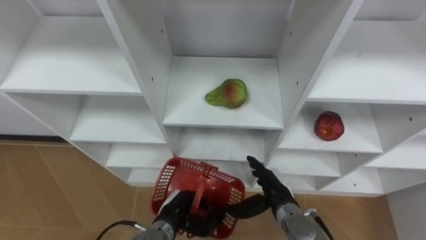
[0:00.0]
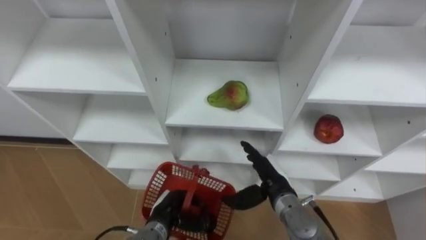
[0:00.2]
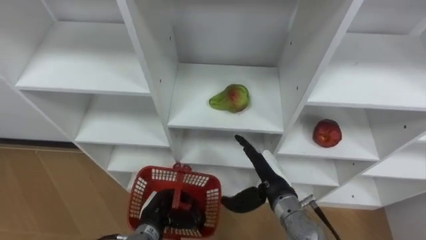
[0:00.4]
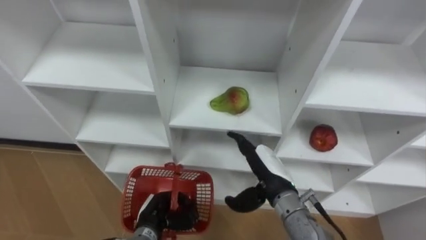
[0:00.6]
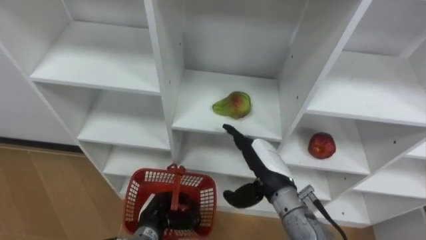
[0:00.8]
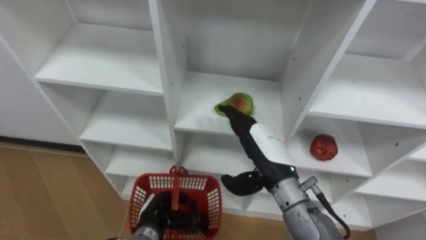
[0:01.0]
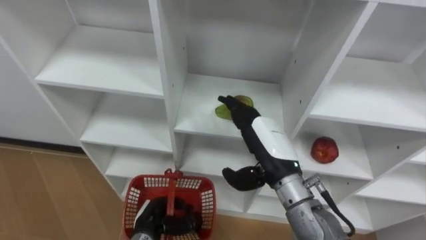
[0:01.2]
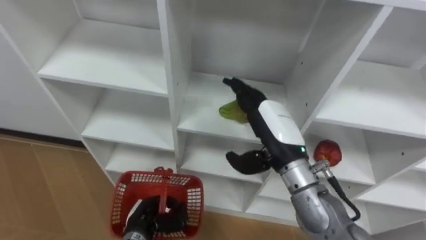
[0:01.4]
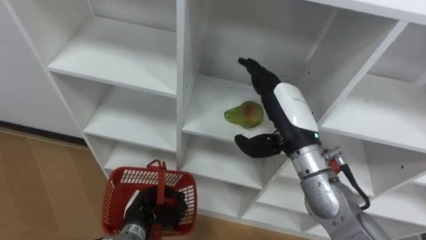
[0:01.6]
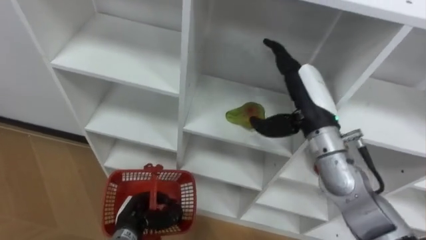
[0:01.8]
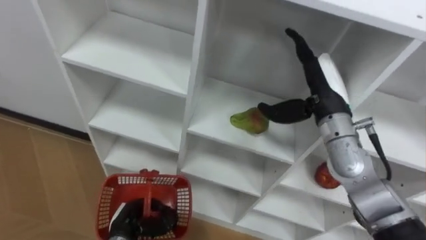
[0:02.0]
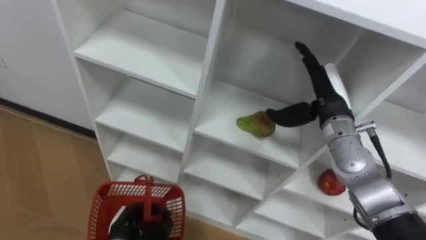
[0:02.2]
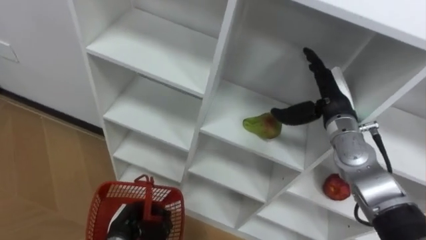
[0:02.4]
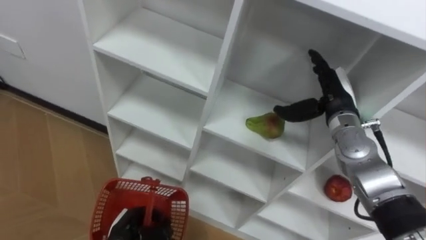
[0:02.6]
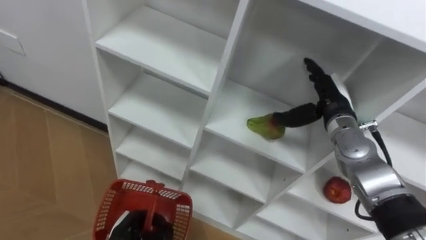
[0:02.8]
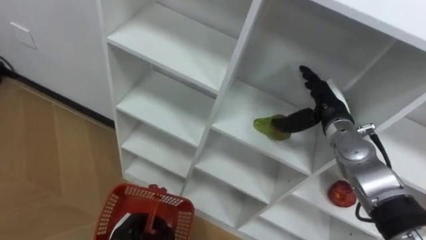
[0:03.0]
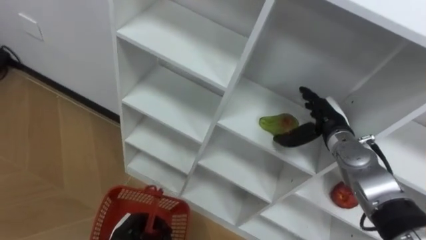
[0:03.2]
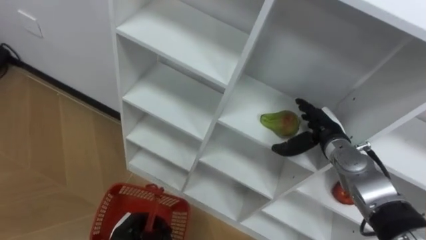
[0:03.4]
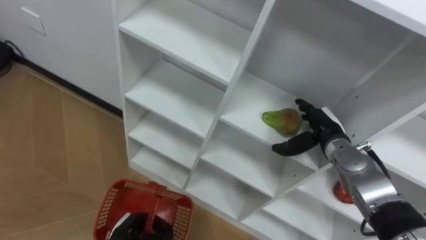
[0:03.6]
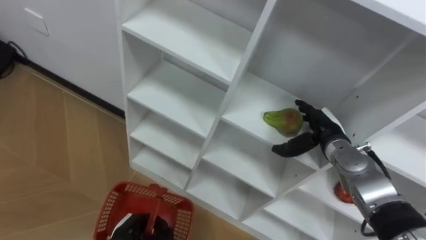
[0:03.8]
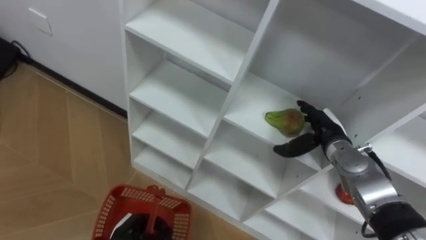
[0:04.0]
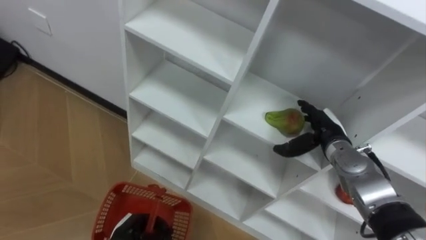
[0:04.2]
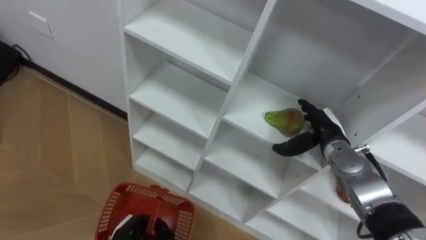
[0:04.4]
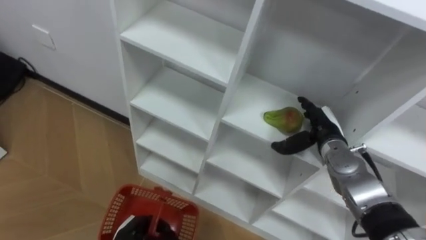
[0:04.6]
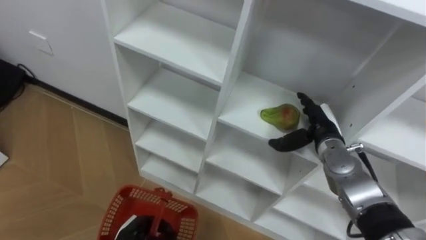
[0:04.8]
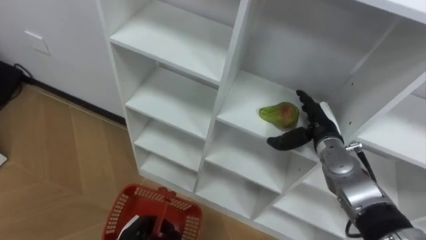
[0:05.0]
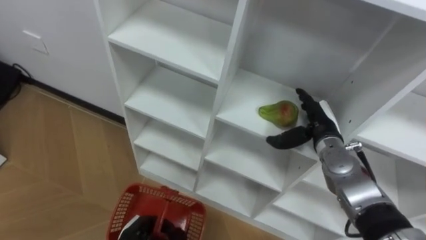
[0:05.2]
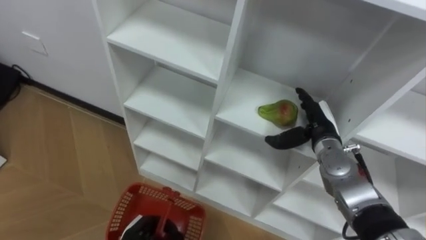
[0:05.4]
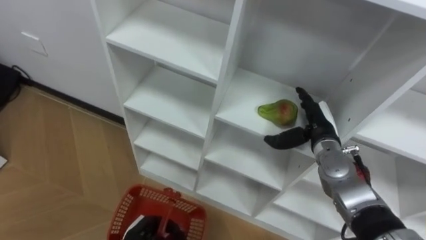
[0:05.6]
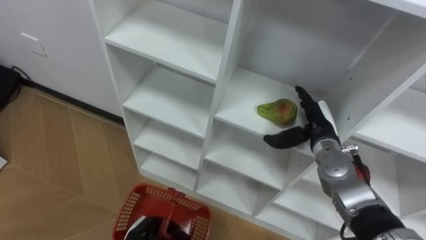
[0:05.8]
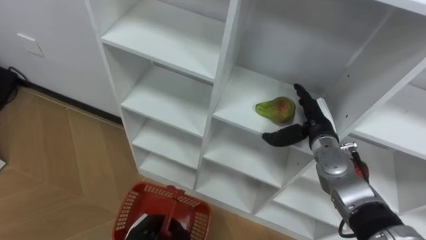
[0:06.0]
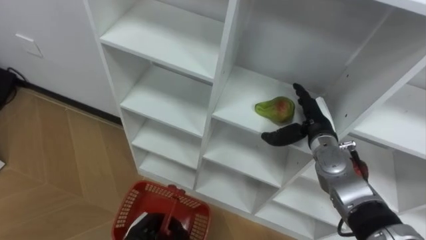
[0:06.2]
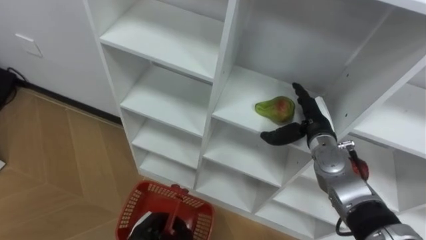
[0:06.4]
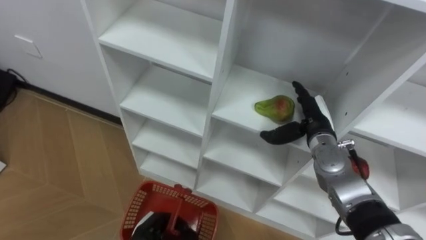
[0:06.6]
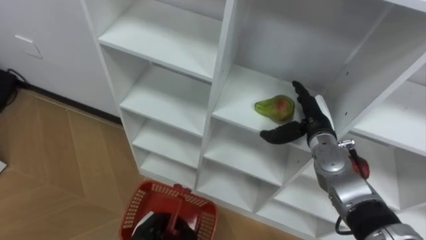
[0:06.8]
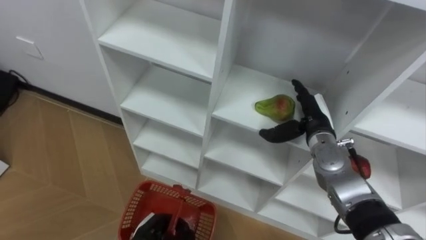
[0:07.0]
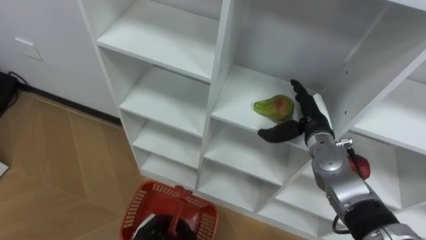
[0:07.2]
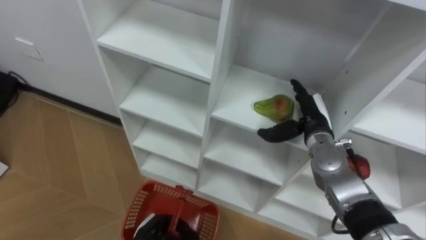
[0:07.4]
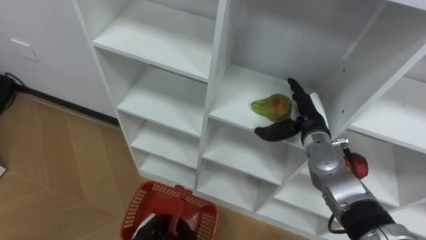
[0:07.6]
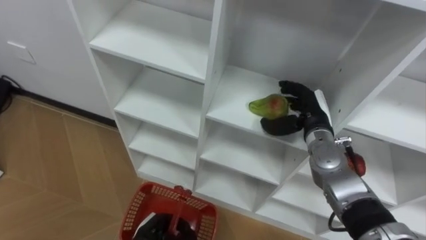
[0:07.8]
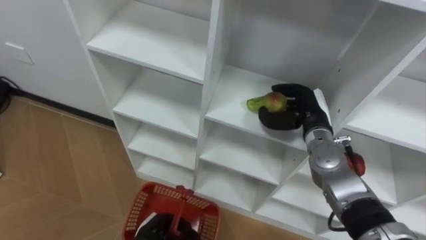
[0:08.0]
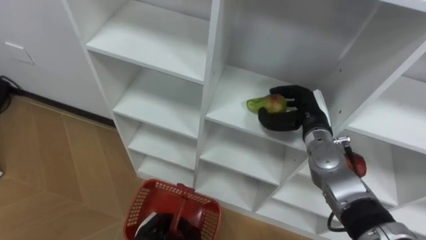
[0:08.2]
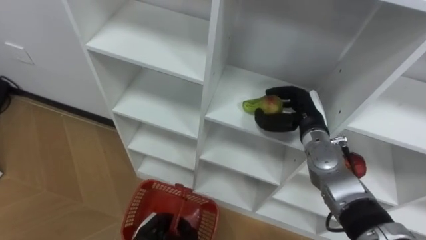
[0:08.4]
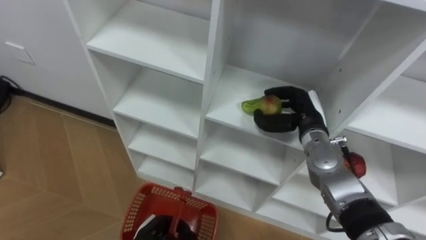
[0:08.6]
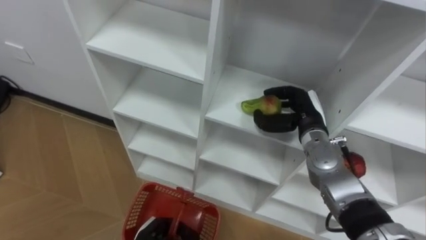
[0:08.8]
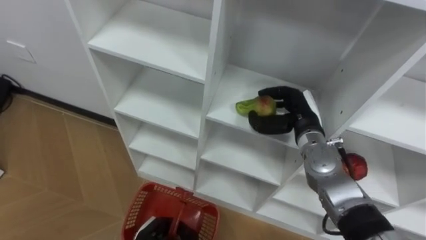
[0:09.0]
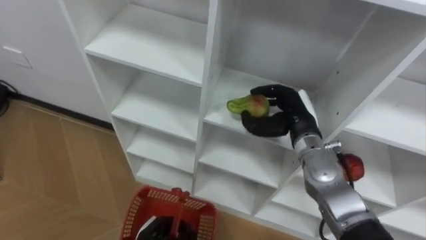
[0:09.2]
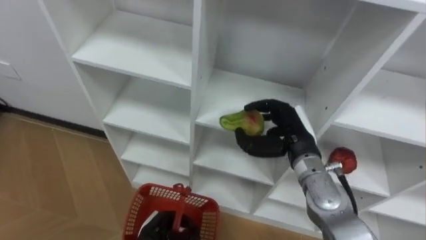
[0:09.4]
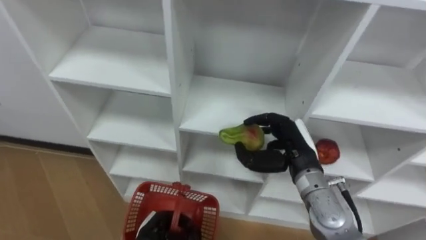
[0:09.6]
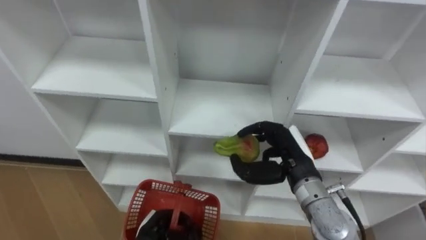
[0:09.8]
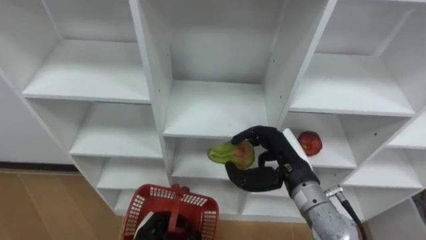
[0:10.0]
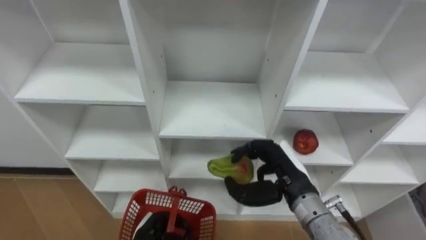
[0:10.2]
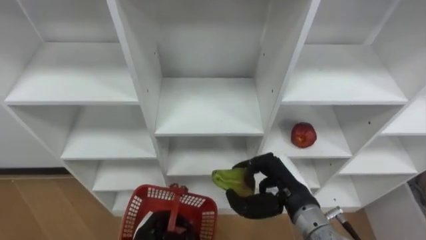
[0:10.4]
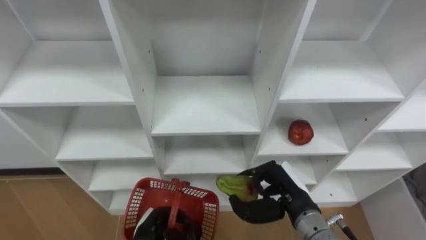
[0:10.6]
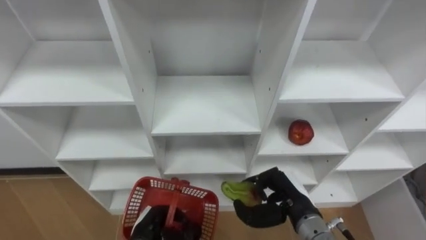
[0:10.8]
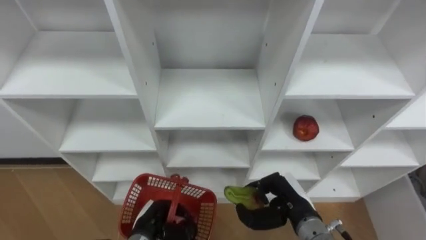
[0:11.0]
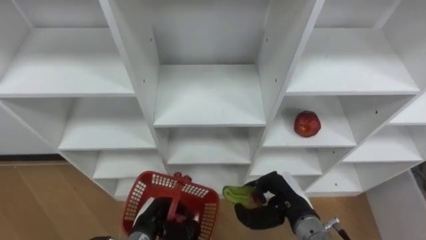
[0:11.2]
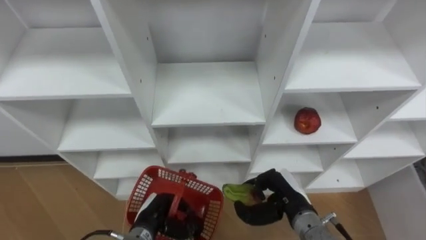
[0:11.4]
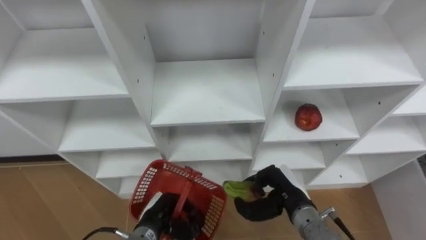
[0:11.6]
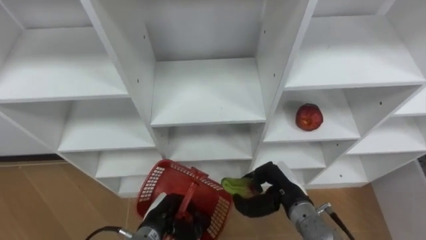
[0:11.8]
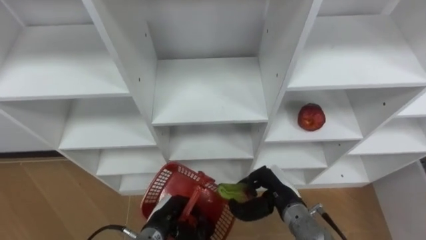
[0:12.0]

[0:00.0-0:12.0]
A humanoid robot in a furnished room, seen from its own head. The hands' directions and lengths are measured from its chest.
Task of the whole recording: Hold the basket and collect the fruits from 3 different cells of the closet into it.
0:00.0 to 0:01.6: The left hand heads to the left, covering approximately 5 cm, while the right hand travels upward by some 20 cm.
0:01.6 to 0:03.0: The left hand changes place by roughly 5 cm; the right hand moves to the right, forward and downward, approximately 15 cm.
0:03.0 to 0:04.4: The right hand is displaced downward by about 5 cm.
0:06.0 to 0:07.6: There are only small adjustments of the hands.
0:07.6 to 0:09.0: The right hand closes.
0:09.0 to 0:10.4: The right hand heads backward, covering some 15 cm.
0:10.4 to 0:12.0: The right hand heads downward, covering some 5 cm.

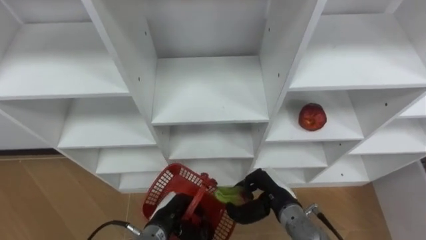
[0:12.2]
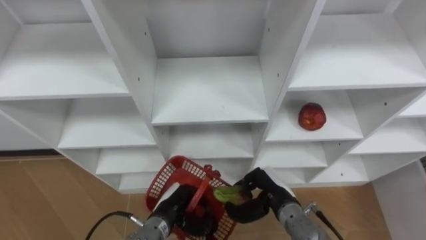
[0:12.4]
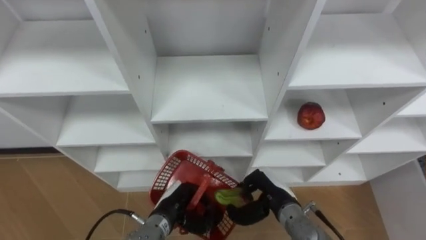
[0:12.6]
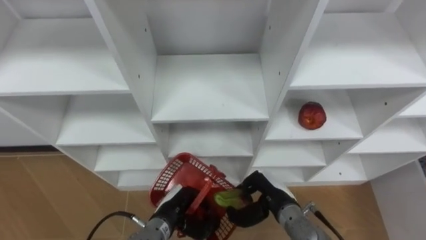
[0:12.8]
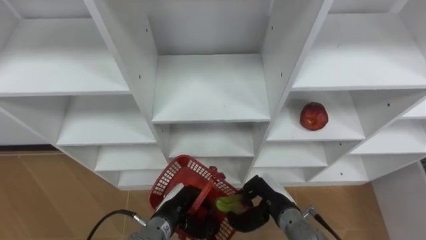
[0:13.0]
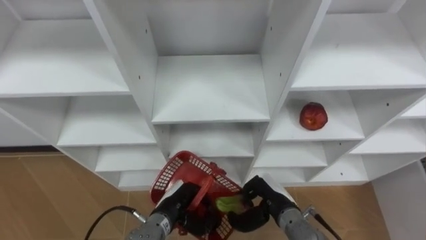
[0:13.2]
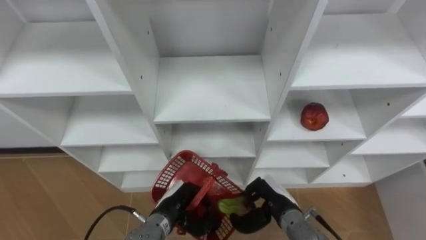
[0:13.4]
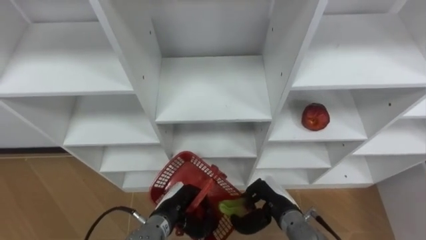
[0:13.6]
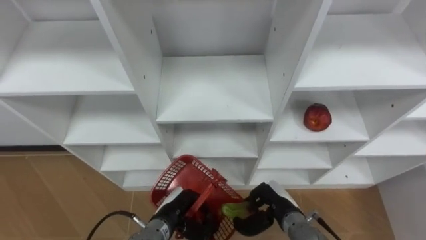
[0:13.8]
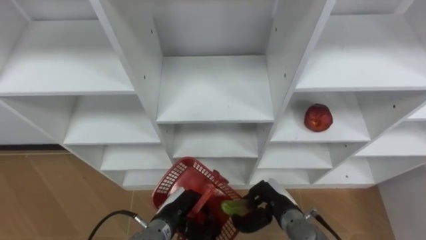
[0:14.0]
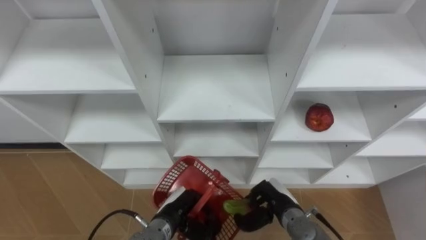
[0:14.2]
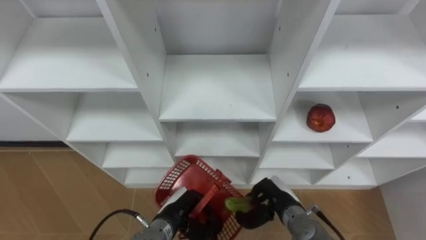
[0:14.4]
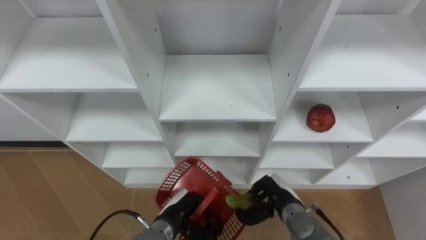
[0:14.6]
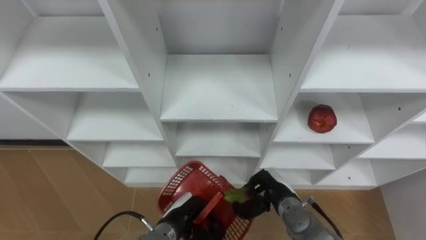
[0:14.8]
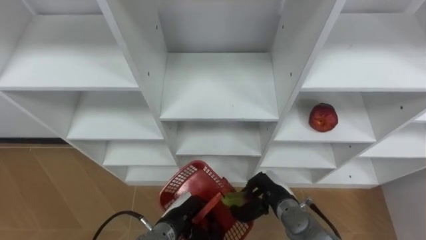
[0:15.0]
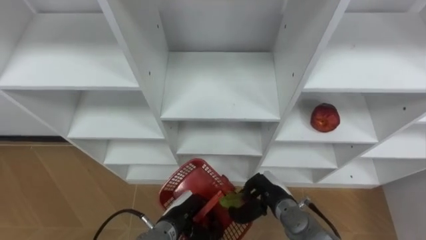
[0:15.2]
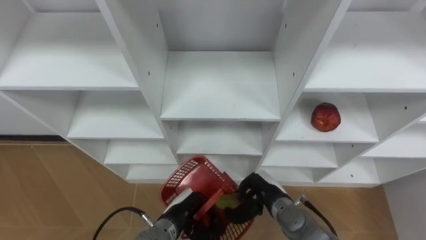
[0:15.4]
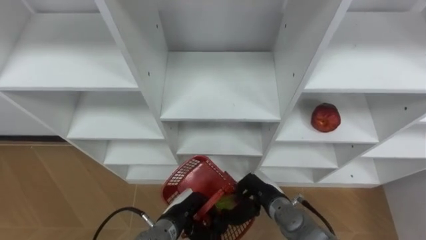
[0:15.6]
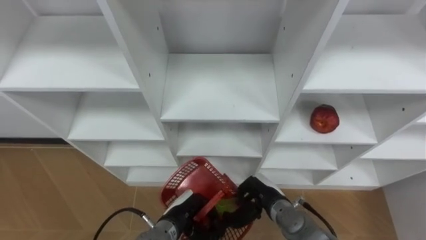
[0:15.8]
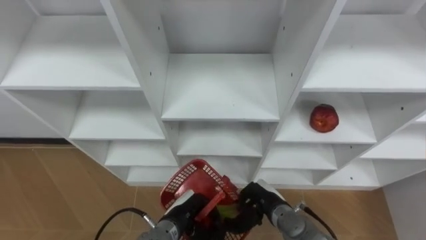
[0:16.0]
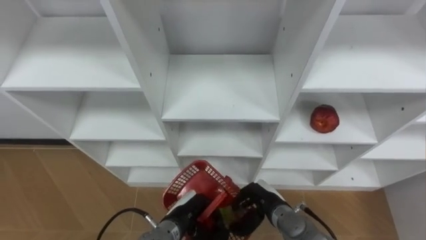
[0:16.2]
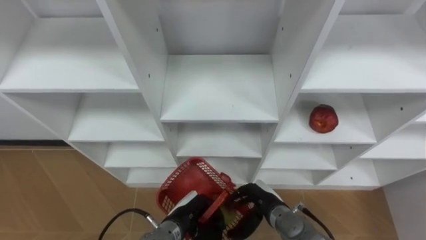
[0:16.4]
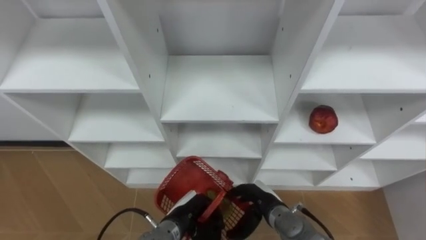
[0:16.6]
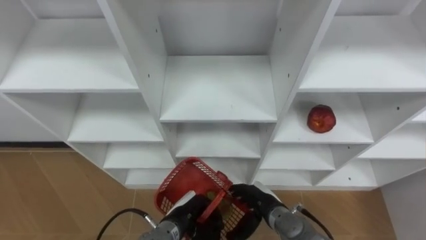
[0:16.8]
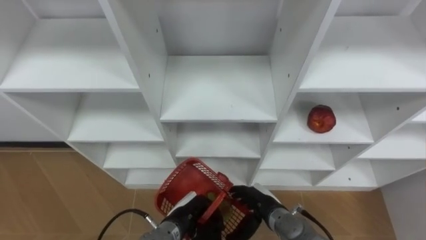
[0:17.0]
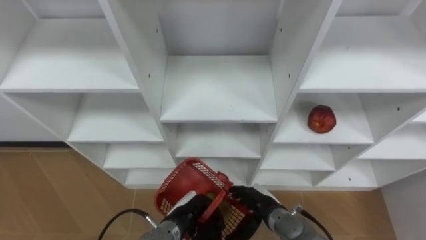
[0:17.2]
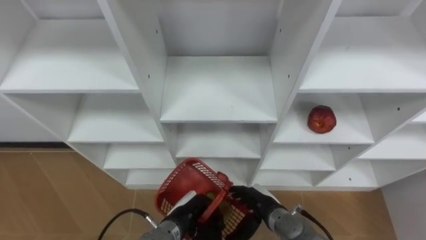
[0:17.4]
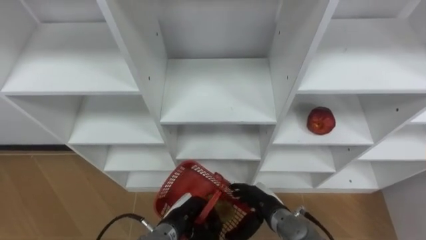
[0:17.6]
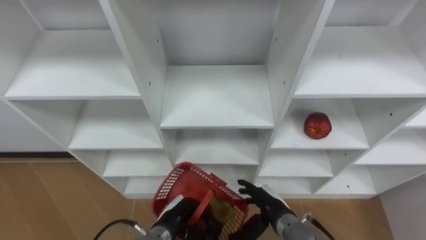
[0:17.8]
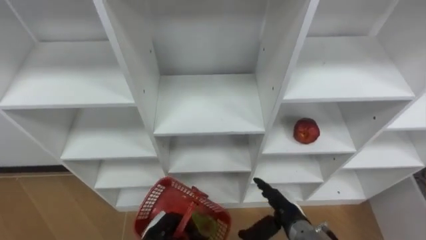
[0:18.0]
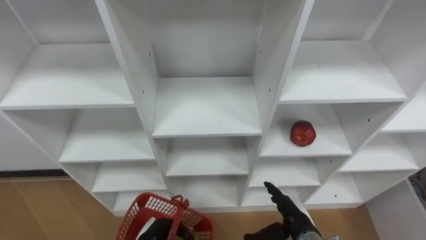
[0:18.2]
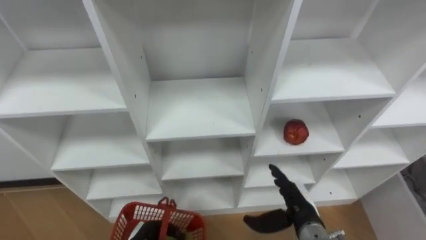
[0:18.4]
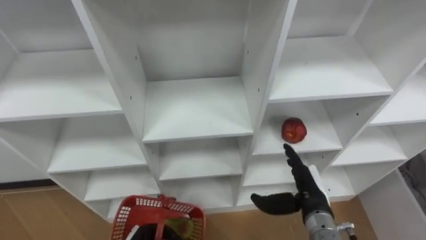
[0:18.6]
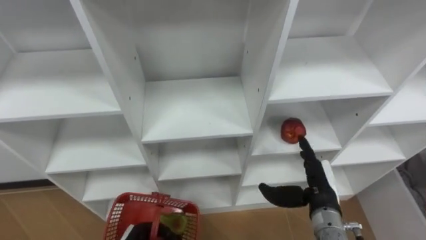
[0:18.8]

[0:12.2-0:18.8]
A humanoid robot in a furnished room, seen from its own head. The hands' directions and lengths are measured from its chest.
Task of the whole recording: Hold the basket and collect the fruits from 3 different cells of the closet into it.
0:12.2 to 0:13.8: The hands make only small movements.
0:15.4 to 0:17.2: The right hand opens up.
0:17.2 to 0:18.8: The right hand goes about 15 cm to the right and upward.
